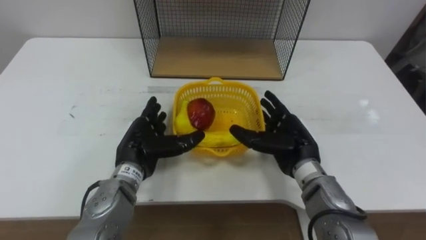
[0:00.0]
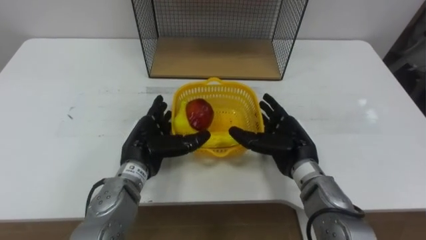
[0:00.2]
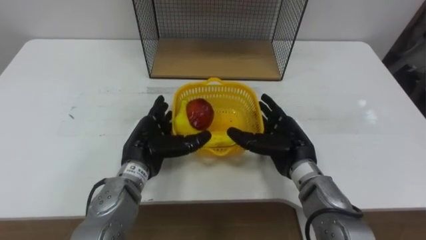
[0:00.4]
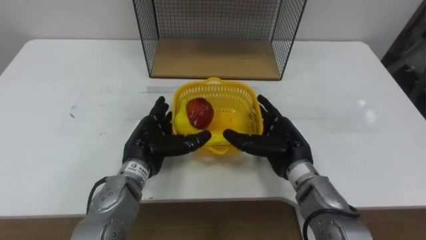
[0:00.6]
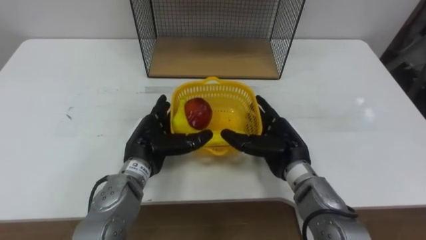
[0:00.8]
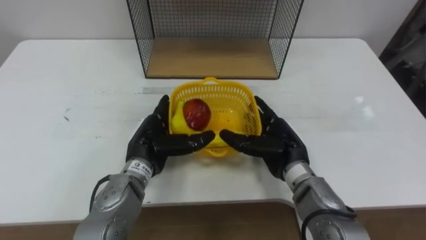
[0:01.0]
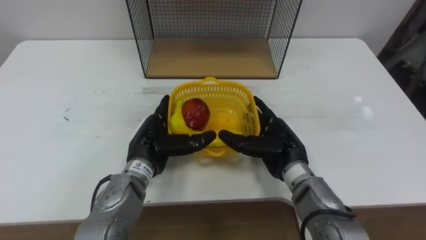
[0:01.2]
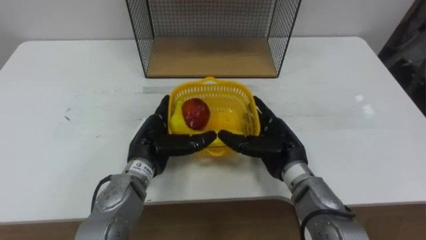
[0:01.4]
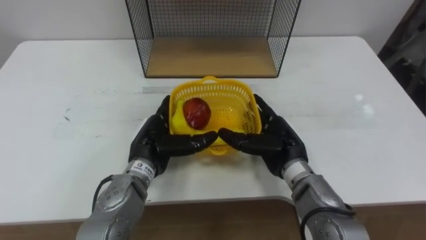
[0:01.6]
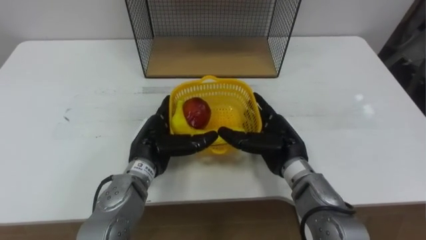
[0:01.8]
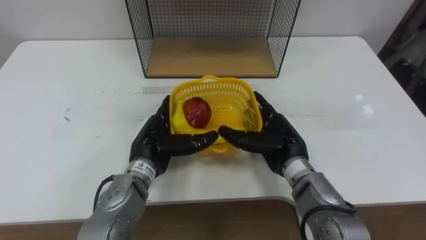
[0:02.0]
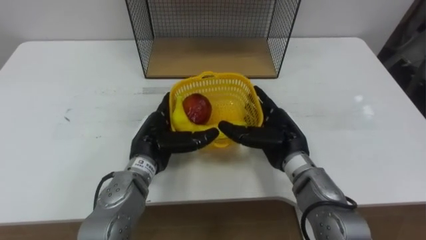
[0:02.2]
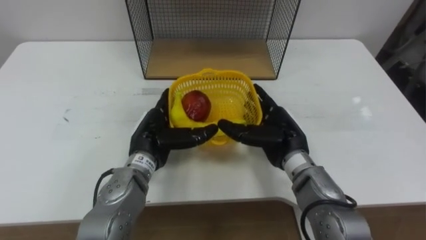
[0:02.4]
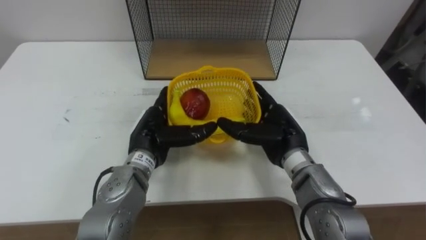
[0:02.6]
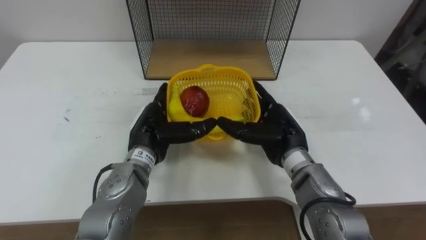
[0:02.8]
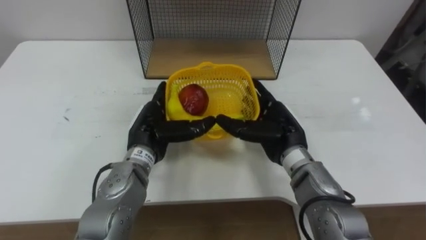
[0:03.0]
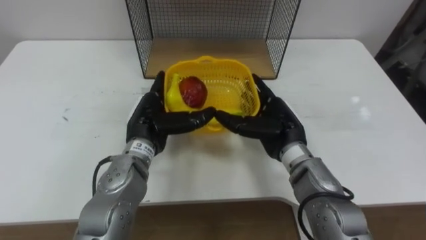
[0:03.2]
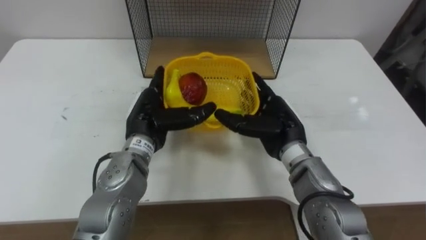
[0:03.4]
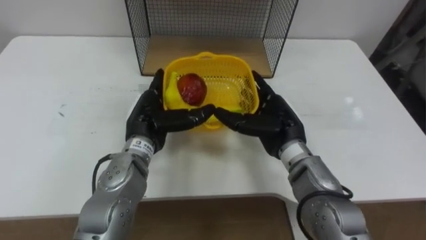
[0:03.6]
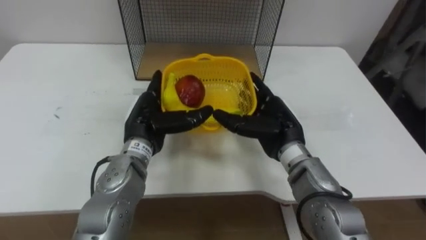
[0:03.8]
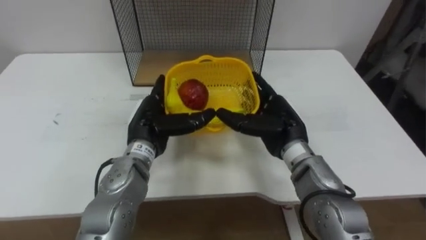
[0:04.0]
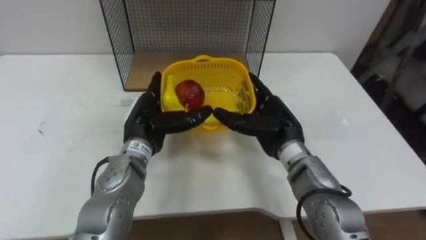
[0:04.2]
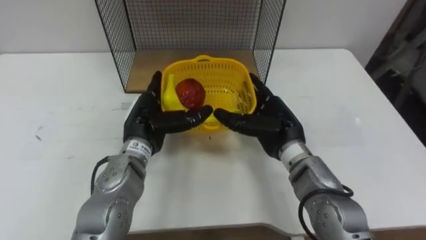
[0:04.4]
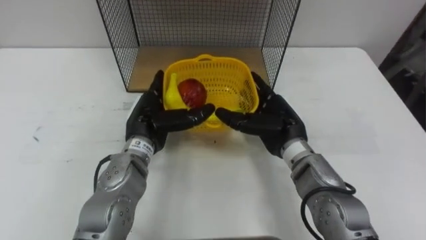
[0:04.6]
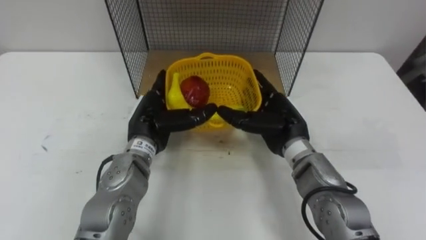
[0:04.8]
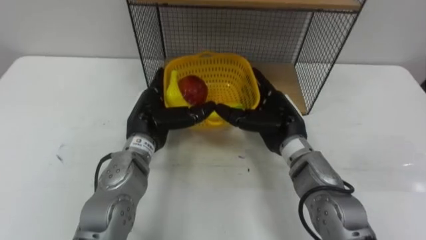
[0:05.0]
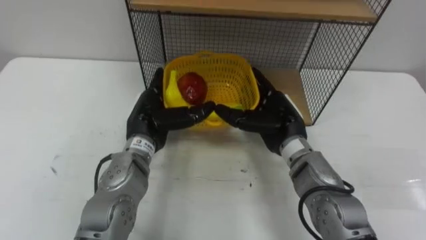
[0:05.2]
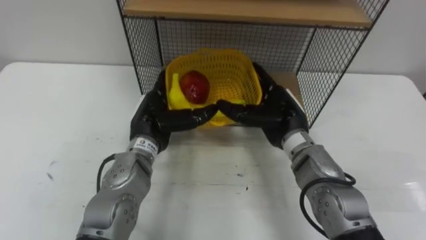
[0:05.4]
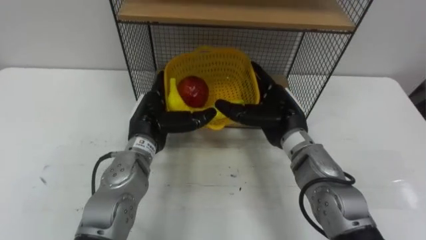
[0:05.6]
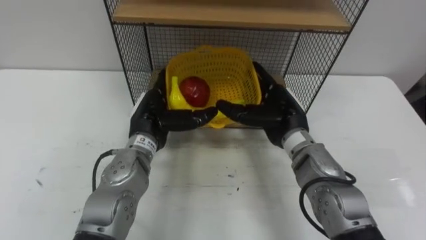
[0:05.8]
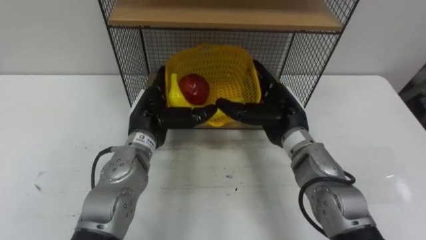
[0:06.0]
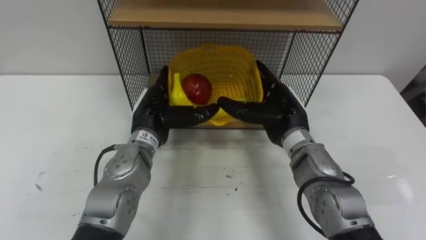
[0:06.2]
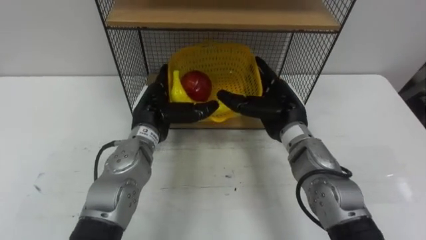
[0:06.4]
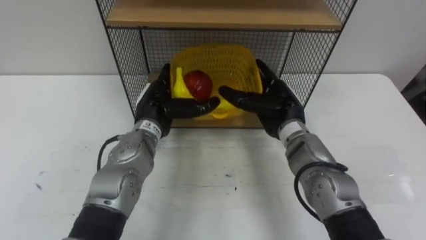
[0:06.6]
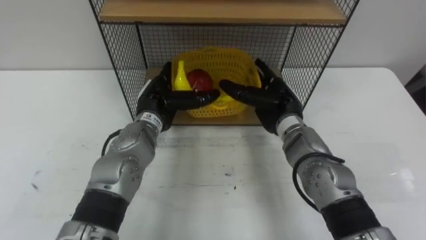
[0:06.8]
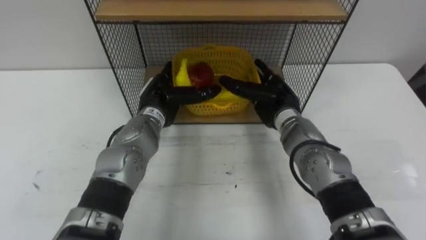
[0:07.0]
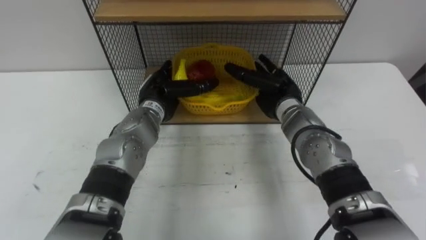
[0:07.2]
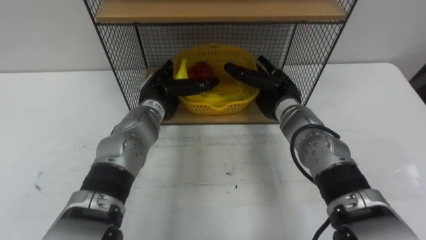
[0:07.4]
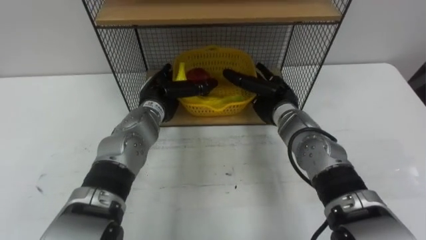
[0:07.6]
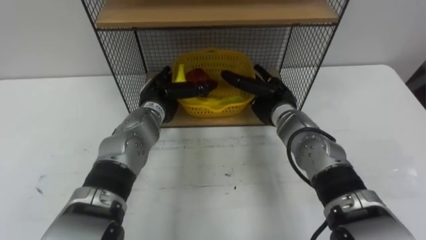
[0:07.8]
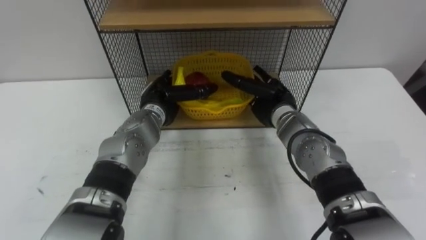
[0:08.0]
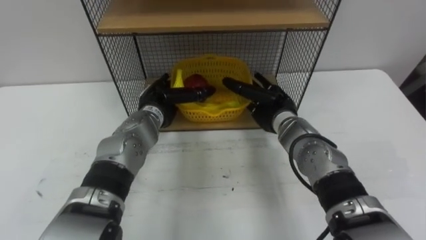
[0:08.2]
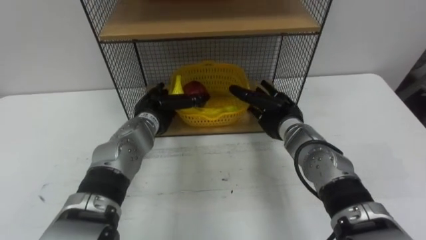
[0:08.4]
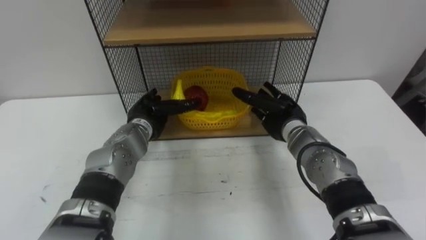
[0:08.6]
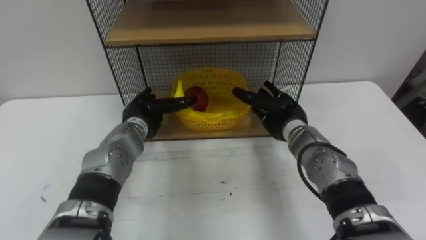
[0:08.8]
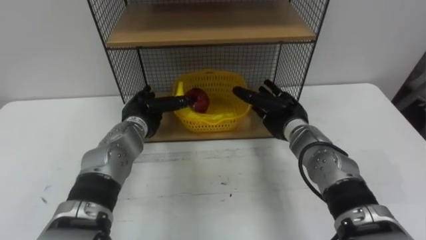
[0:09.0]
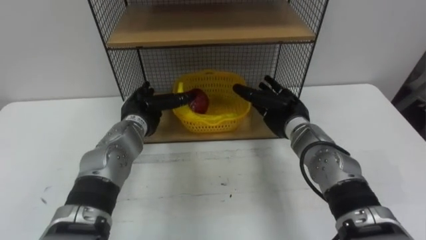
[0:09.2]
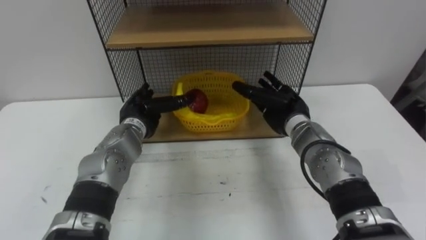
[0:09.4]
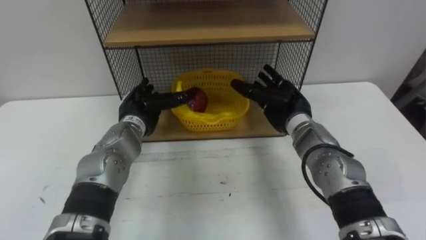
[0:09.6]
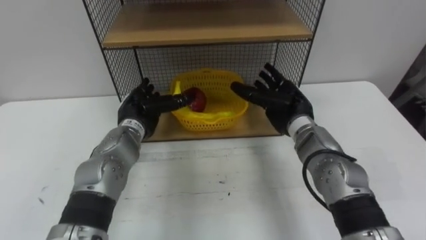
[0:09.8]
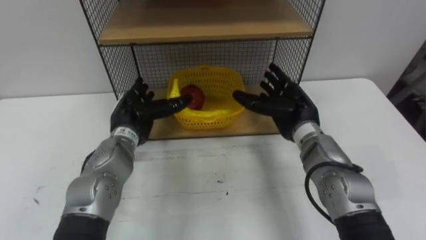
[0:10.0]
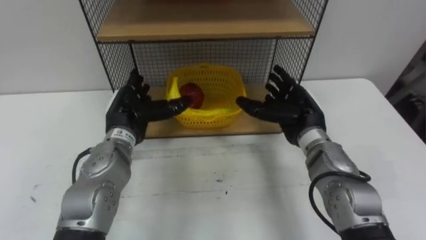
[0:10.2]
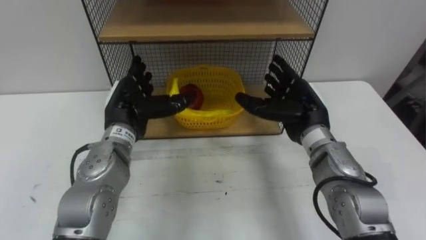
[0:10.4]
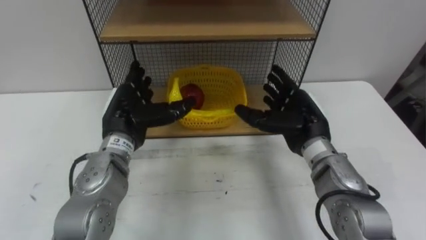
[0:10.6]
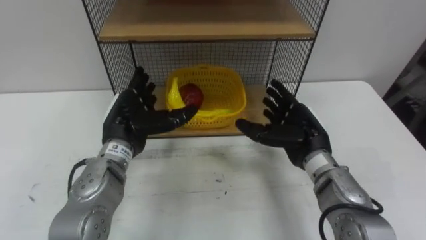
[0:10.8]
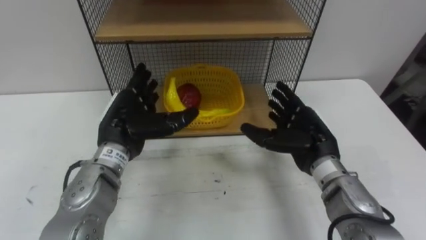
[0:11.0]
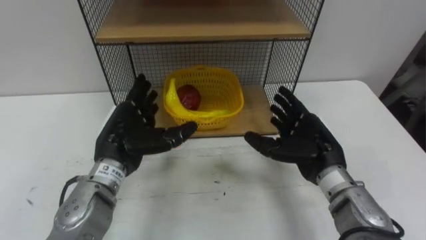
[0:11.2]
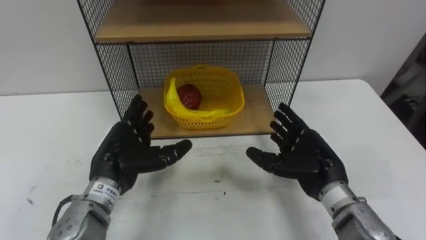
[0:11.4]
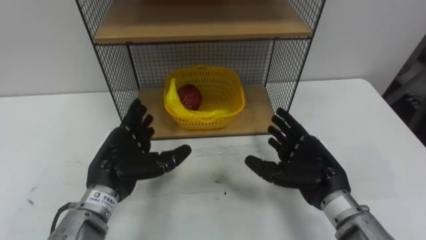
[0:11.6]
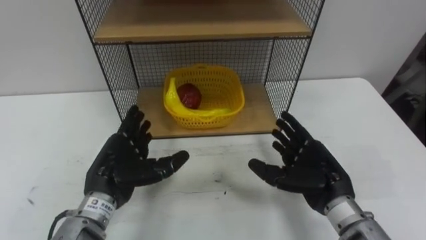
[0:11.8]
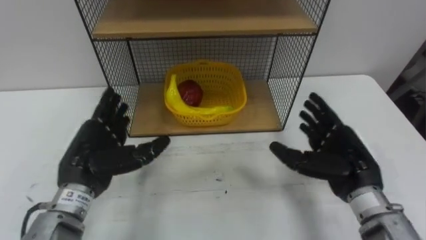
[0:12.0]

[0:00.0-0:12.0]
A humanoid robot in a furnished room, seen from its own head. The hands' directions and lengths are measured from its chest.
Task of the whole recording: Put the fruit on the table into the basket, then place the basket on the shelf.
0:00.0 to 0:03.0: The hands move only a little.
0:06.0 to 0:07.6: The hands both shift forward by about 5 cm.
0:07.6 to 0:09.0: The left hand moves approximately 5 cm.
0:09.0 to 0:10.4: The hands both shift upward by approximately 5 cm.
0:10.4 to 0:12.0: The left hand moves backward, approximately 10 cm, while the right hand is displaced backward and to the right by approximately 10 cm.

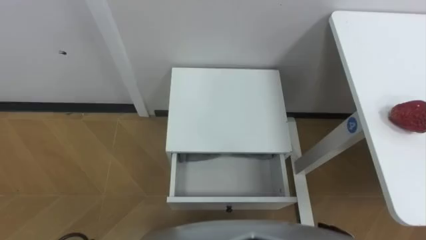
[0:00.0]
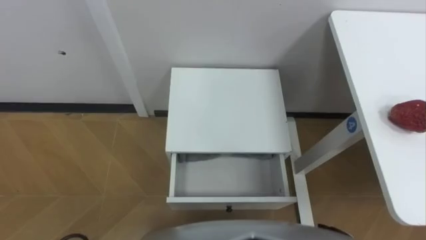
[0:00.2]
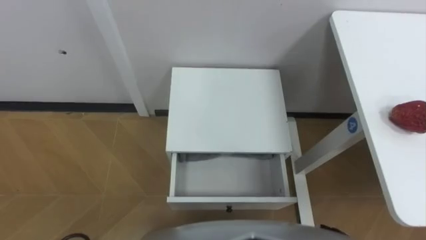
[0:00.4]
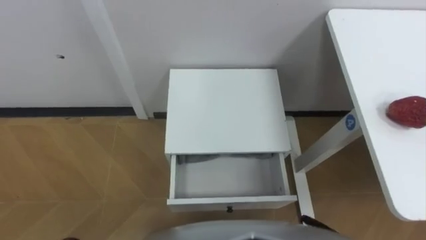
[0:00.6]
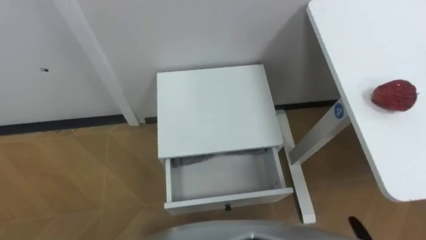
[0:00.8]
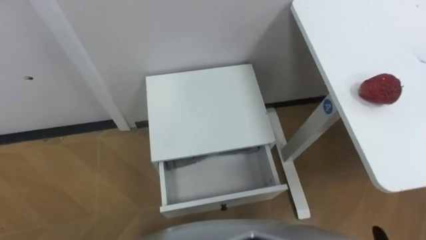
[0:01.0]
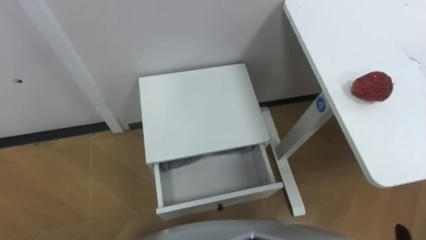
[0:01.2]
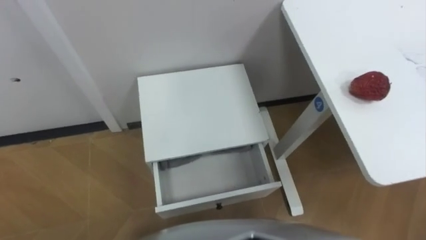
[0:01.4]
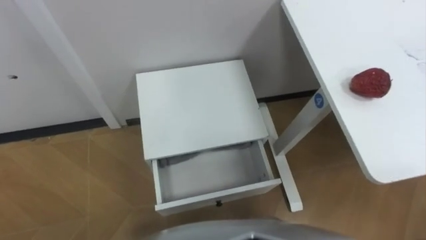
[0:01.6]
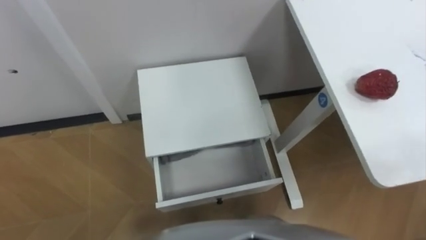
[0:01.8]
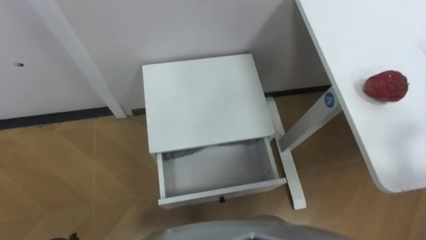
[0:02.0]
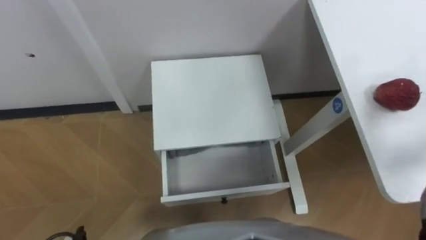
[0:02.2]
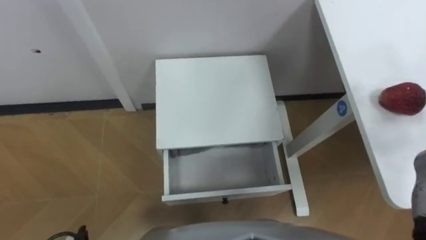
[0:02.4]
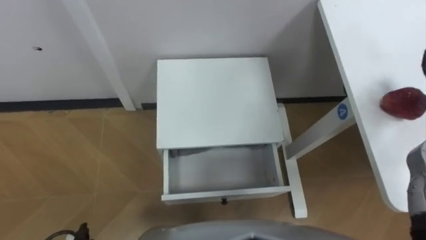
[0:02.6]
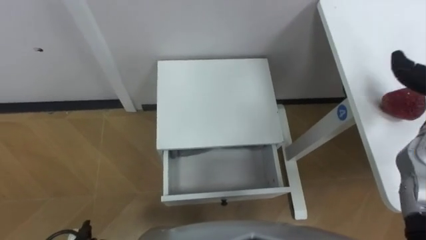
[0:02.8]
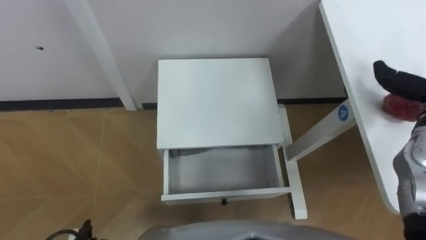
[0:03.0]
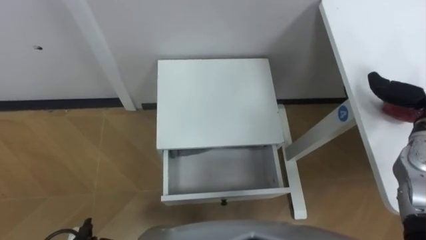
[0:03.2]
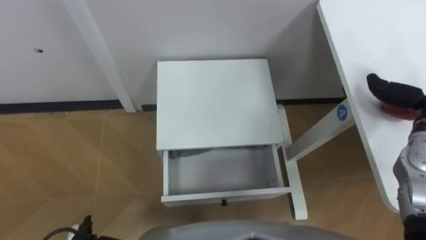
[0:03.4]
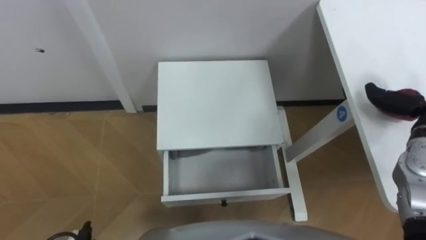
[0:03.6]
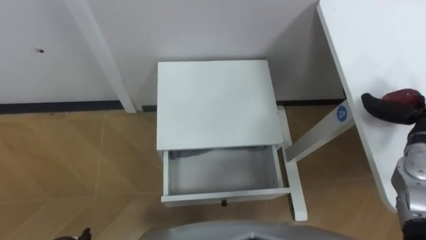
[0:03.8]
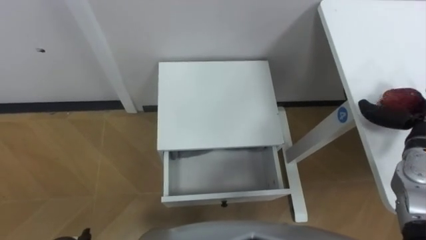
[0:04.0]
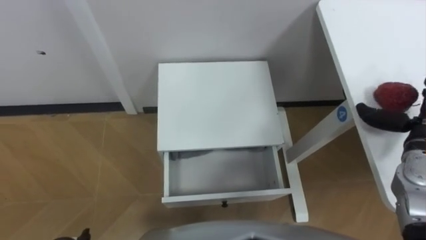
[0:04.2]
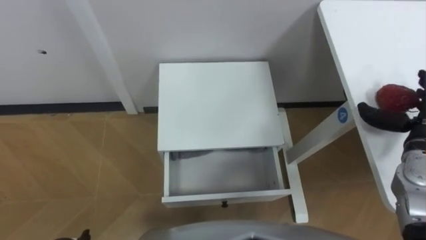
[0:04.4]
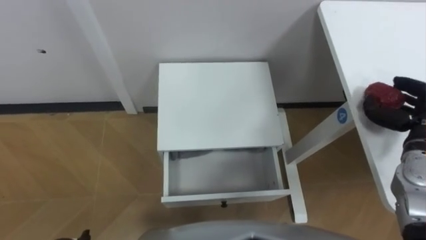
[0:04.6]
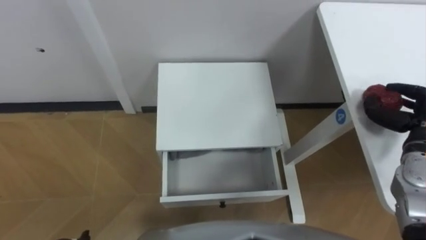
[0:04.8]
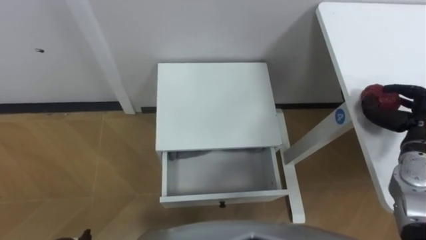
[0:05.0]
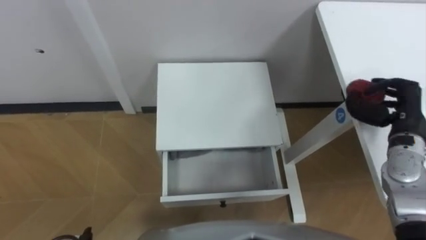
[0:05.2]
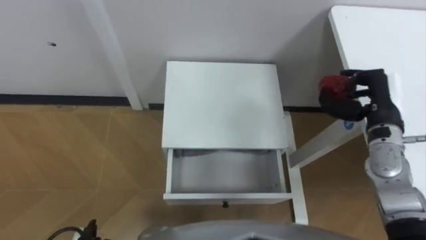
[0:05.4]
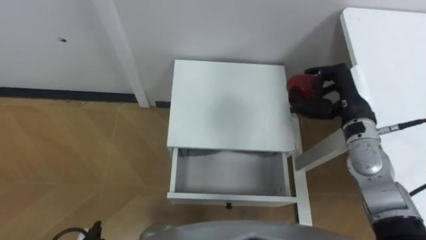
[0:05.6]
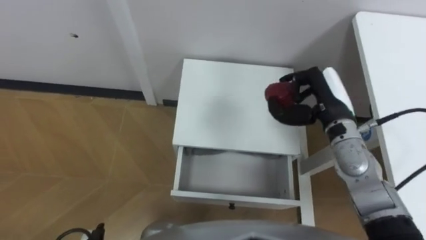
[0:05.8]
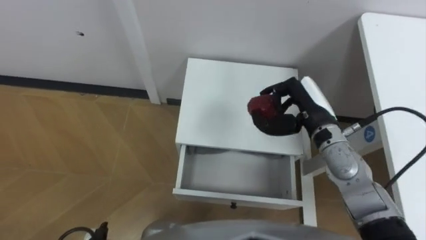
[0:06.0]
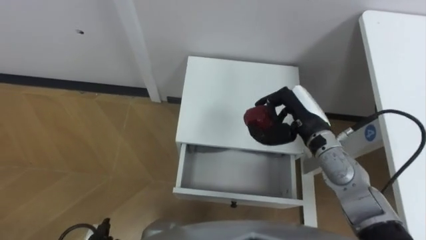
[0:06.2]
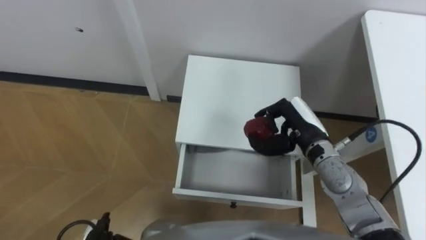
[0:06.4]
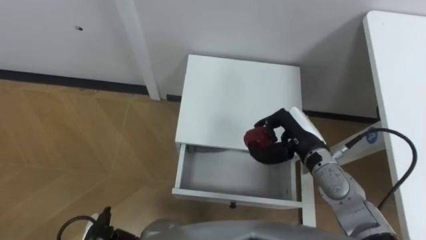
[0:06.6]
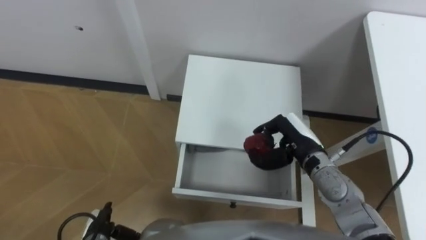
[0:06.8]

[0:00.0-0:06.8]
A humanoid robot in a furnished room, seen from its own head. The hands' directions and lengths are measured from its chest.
Task of the whole recording: Pick up the apple from the table, put it in the drawer, and close the drawer with leg.
0:04.0 to 0:05.4: The right hand shifts some 5 cm to the left, and closes up.
0:05.4 to 0:06.8: The right hand moves to the left and downward, roughly 15 cm.
